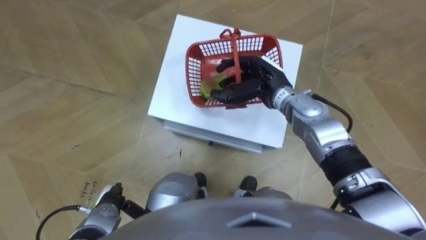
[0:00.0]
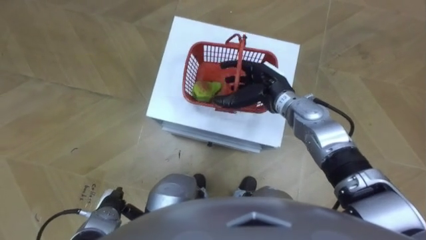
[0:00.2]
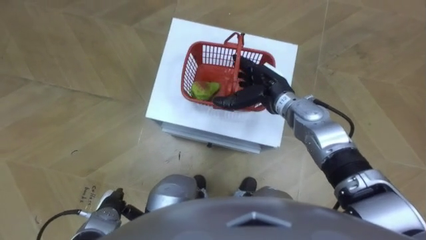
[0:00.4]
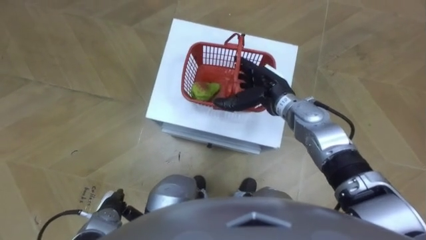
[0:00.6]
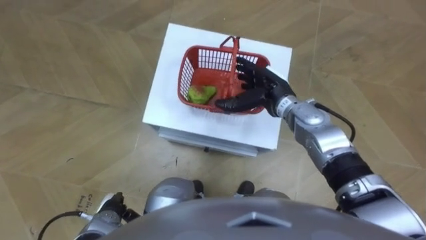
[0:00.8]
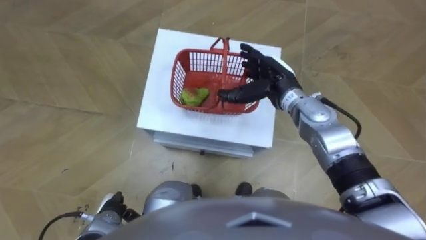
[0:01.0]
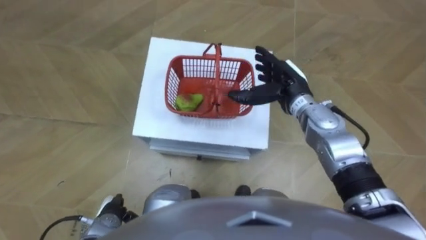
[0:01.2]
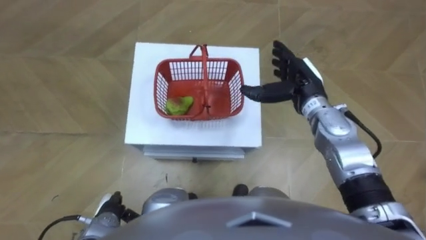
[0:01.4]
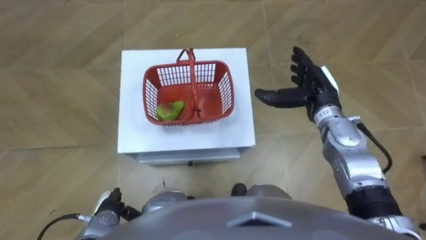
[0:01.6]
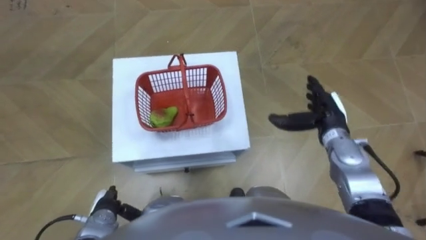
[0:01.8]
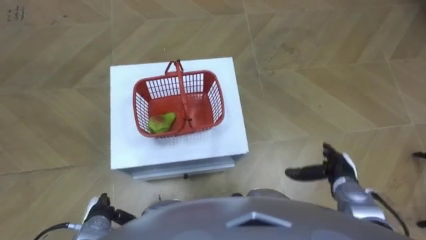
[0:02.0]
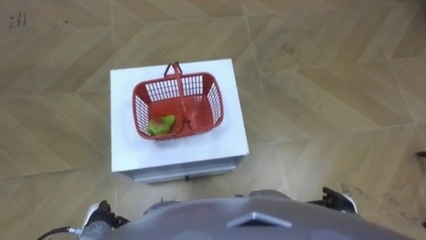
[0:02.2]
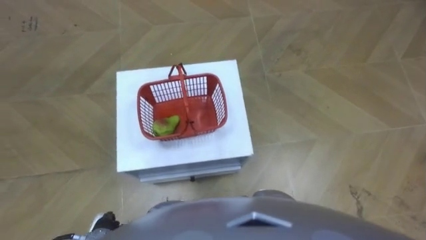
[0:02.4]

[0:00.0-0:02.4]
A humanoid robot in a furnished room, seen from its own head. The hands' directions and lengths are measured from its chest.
Task of the whole recording: Pick up the fruit basket from the floor and place it on the cabinet.
0:01.2 to 0:02.4: The right hand heads backward, downward and to the right, covering some 35 cm.

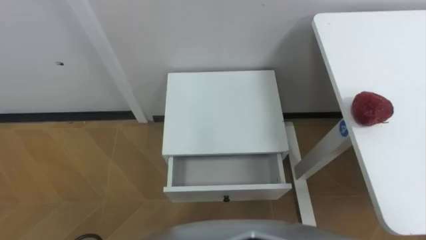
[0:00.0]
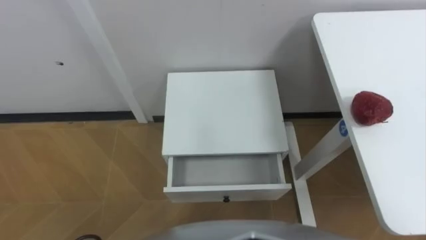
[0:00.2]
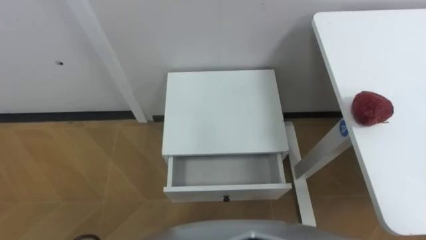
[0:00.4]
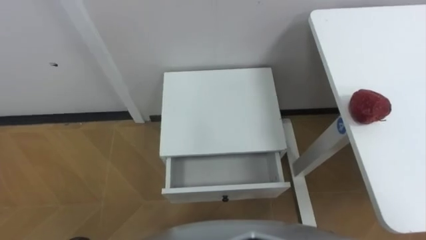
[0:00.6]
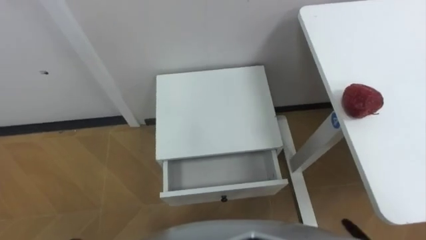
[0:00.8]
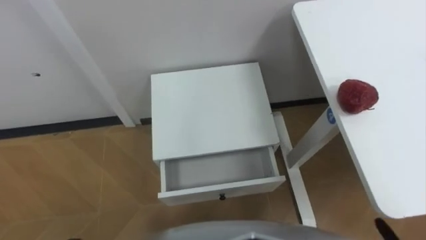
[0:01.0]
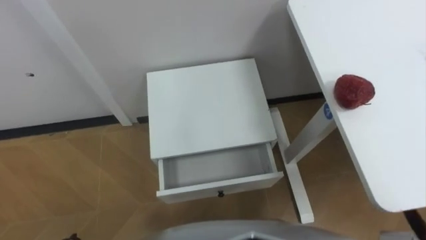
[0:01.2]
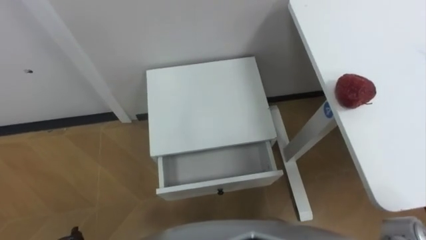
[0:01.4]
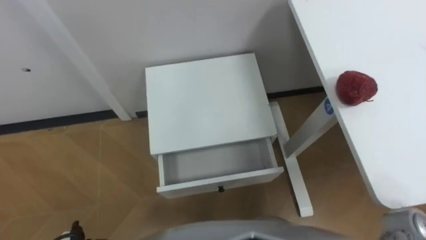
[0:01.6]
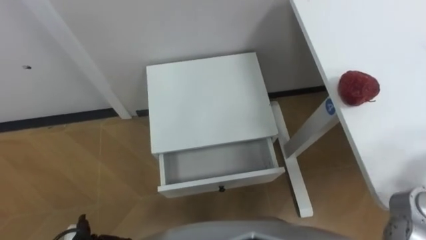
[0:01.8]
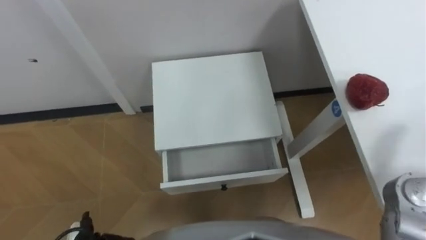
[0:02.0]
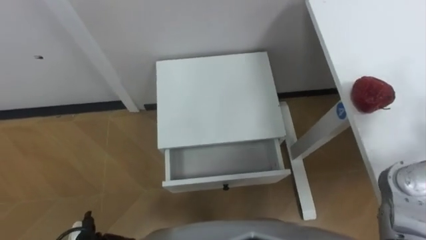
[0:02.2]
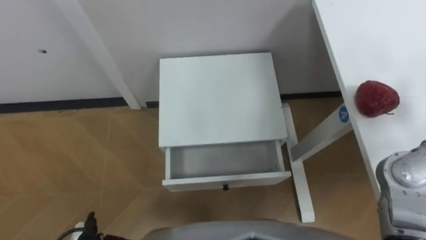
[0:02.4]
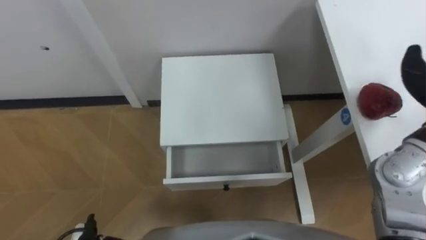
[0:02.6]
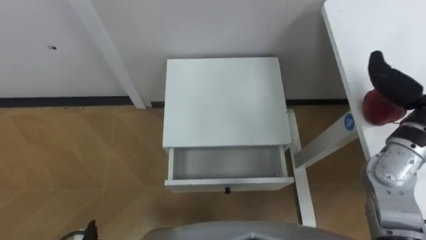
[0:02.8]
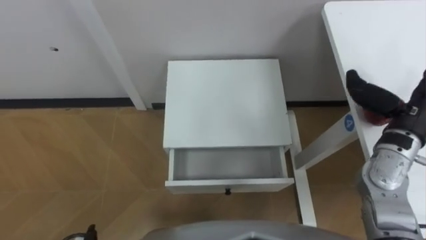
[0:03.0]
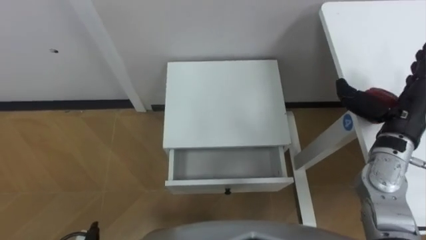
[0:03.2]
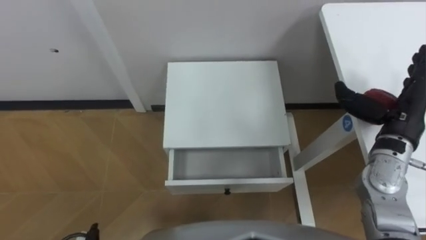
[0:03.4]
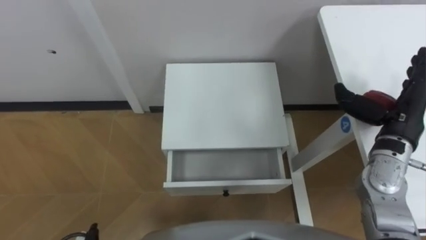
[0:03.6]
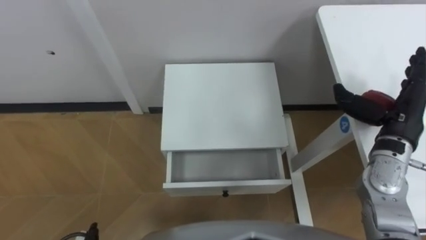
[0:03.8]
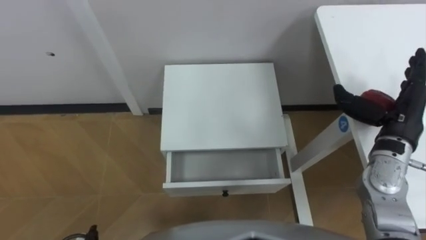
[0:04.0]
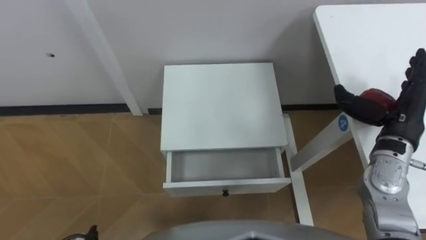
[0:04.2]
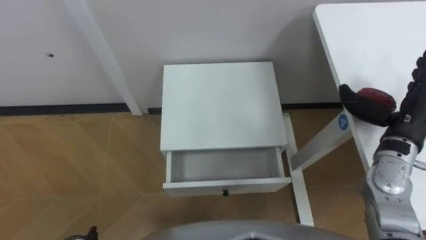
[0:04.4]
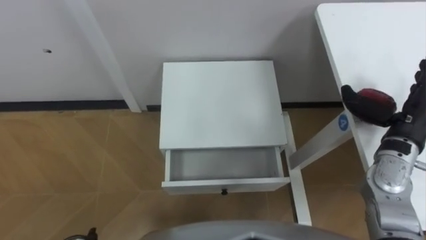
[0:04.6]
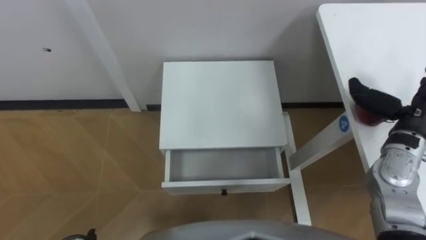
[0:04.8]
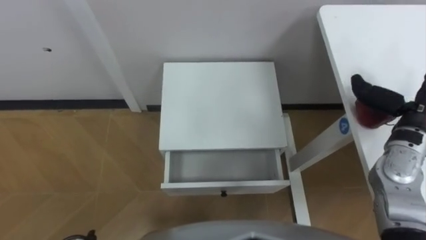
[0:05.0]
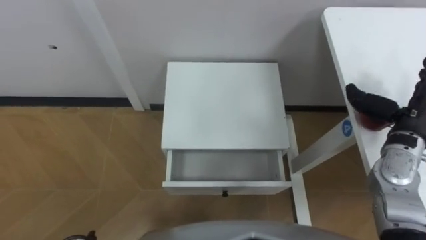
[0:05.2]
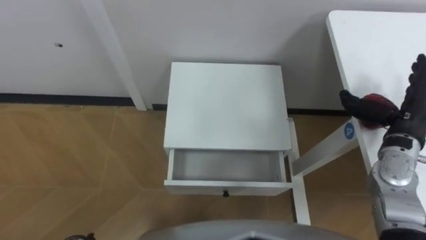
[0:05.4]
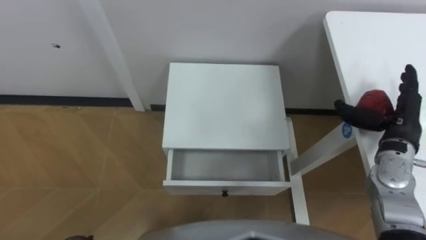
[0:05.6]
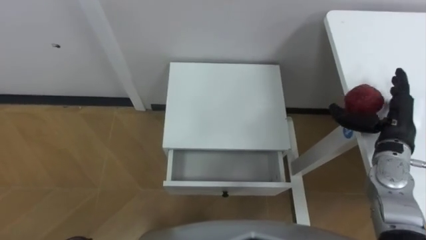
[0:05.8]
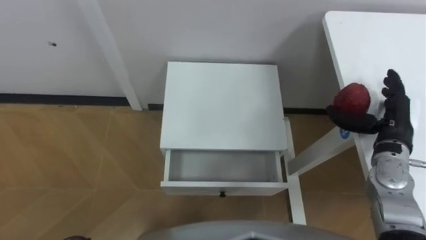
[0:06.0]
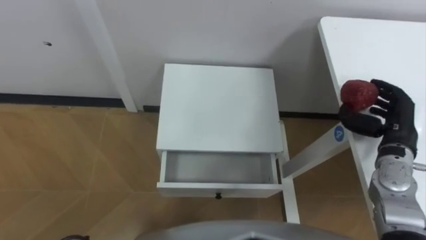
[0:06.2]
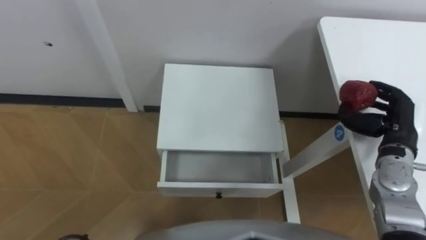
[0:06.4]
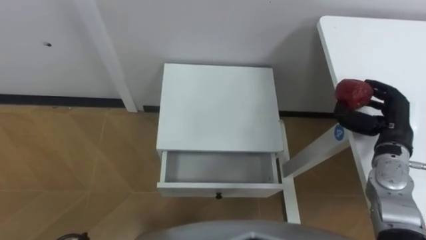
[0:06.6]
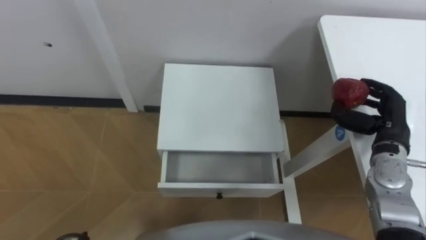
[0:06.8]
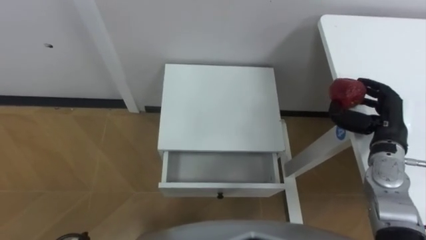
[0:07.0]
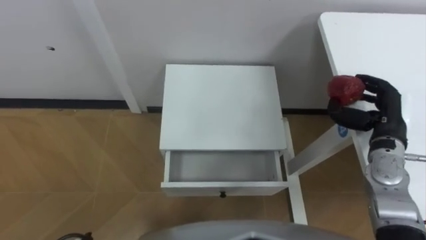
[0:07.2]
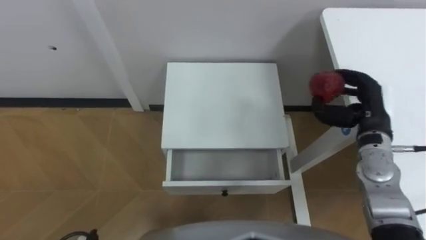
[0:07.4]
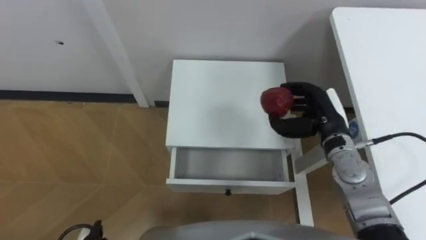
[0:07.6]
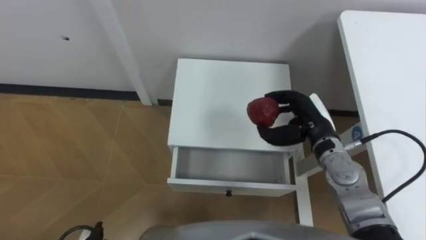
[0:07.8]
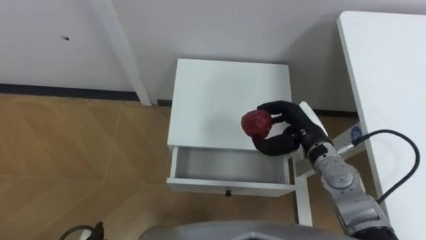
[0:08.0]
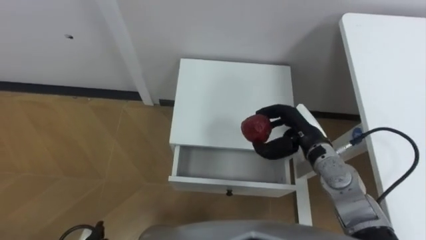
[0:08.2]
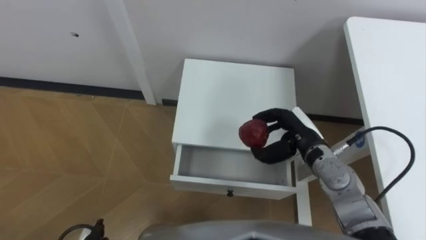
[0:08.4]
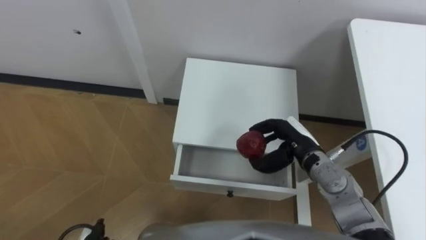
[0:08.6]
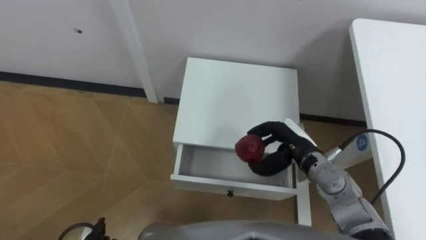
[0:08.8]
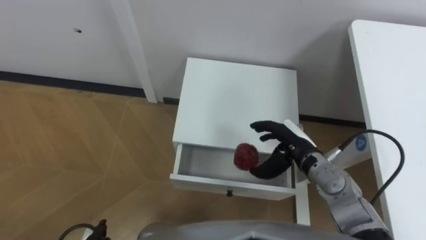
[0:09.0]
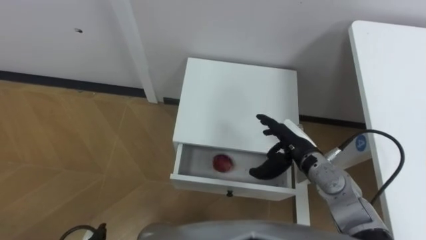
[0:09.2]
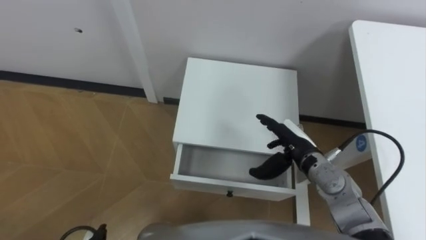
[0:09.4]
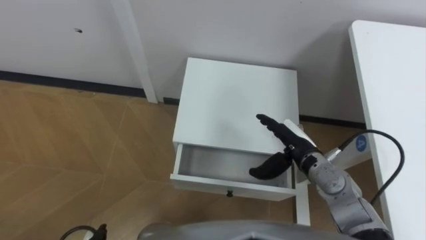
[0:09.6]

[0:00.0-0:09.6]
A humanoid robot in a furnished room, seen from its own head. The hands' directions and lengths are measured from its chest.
Task of the whole recording: Pick up the apple from the table, put it in the drawer, and close the drawer with leg.
0:04.8 to 0:06.4: The right hand goes approximately 5 cm downward, and closes its fingers.
0:06.4 to 0:08.0: The right hand goes some 15 cm to the left.
0:08.0 to 0:09.6: The right hand opens.

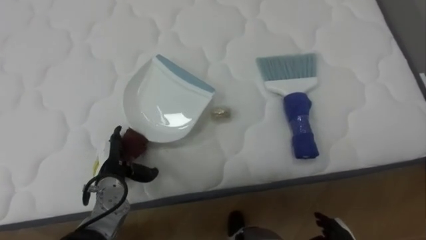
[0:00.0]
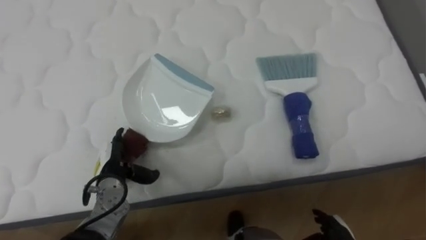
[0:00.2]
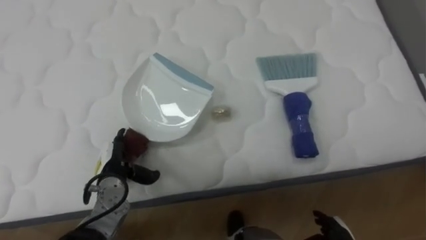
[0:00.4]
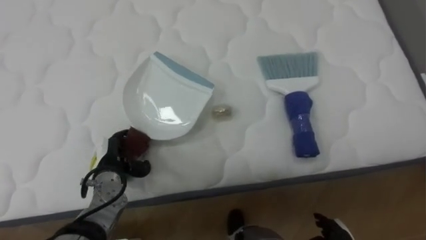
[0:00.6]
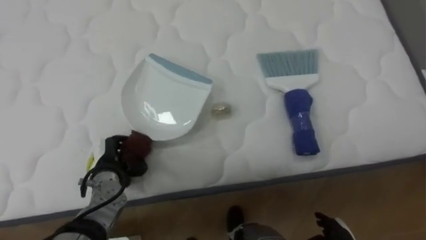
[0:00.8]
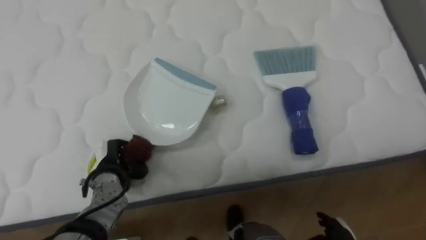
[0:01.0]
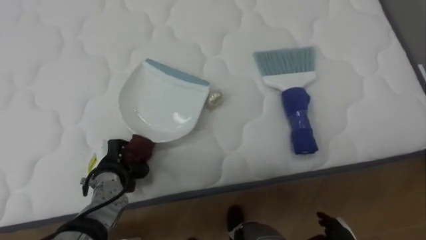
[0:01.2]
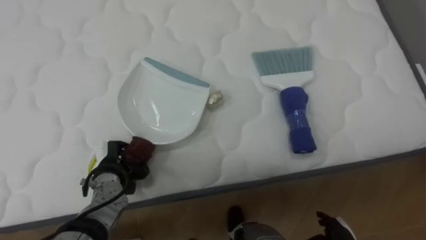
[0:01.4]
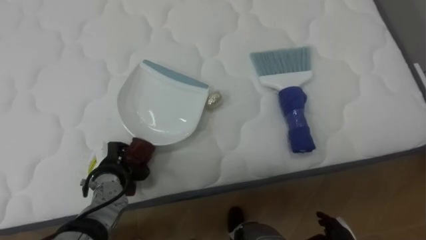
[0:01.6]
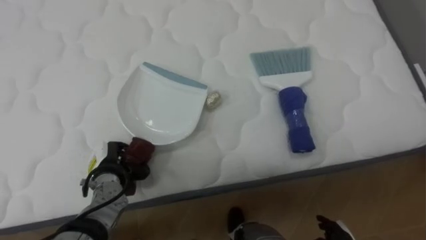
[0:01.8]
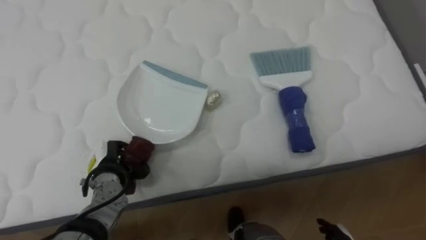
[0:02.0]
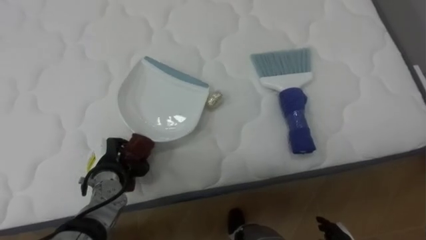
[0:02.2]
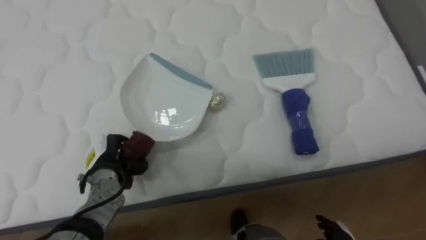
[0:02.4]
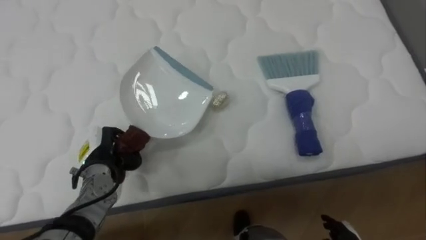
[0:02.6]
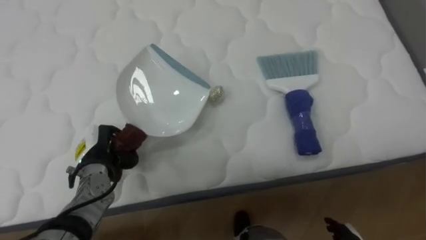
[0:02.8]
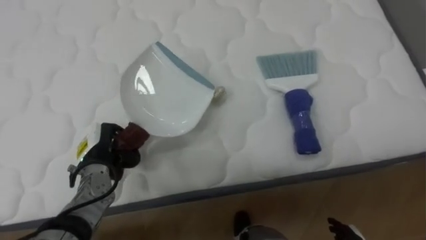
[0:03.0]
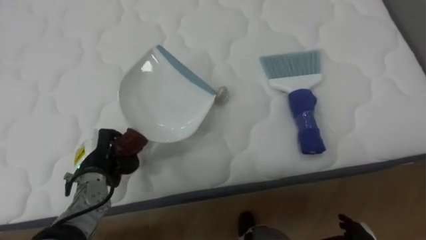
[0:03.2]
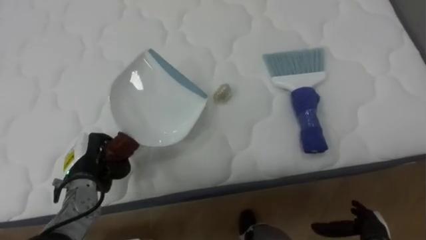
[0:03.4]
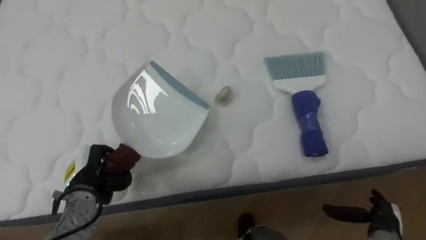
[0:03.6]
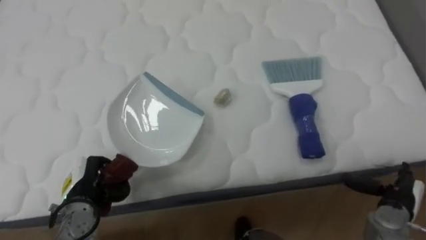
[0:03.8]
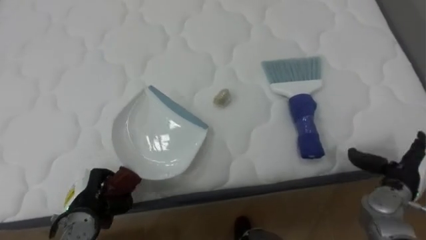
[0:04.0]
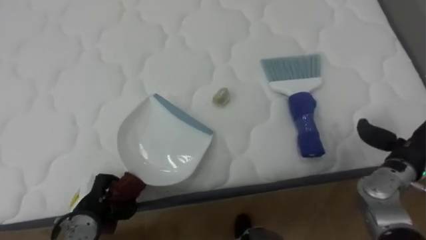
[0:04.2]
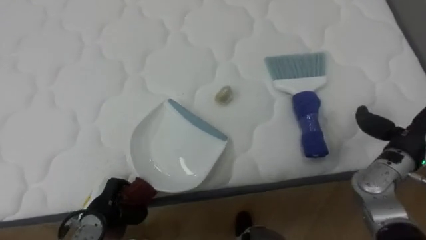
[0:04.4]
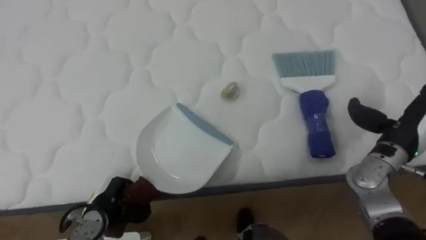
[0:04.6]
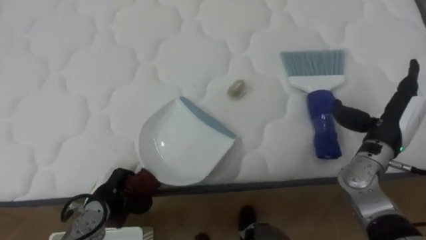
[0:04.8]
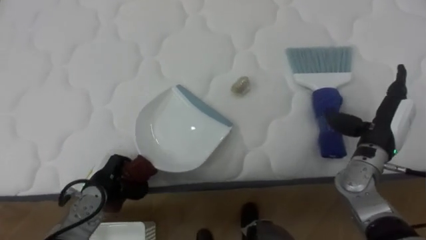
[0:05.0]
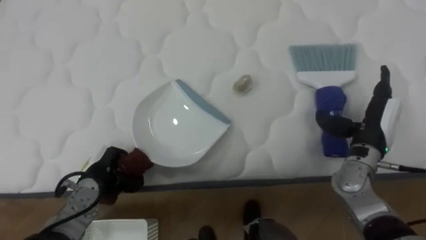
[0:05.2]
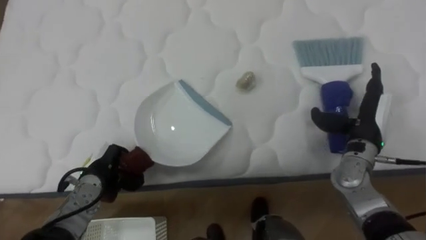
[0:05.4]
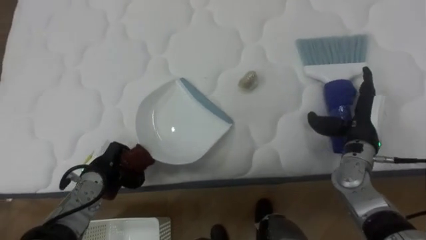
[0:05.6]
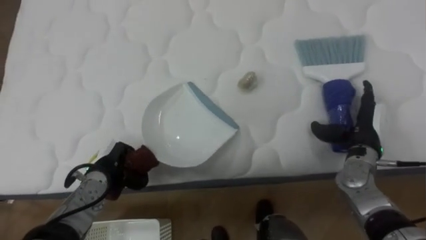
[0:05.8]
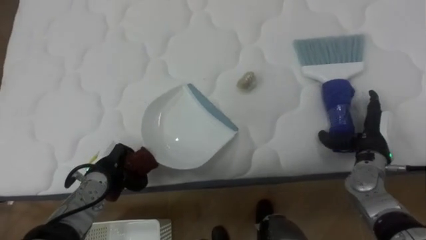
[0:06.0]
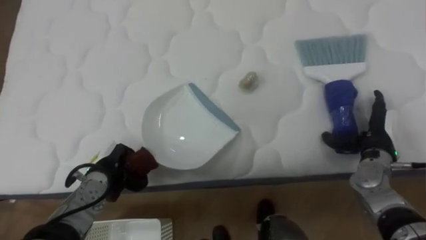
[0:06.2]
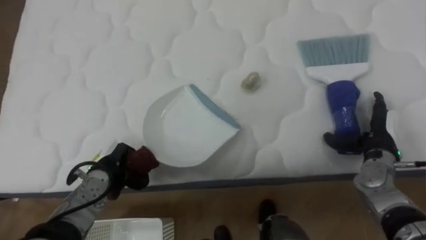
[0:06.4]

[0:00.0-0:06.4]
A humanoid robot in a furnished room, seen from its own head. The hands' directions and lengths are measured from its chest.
Task of the whole recording: Pick up the brush on your right and the dustpan on your left. Use the brush to sweep the crumpled paper on the bed into the dustpan, then turn left and empty it into the basket.
0:00.0 to 0:01.6: The left hand closes up.
0:03.2 to 0:04.8: The left hand travels backward and downward by roughly 10 cm.
0:04.8 to 0:06.4: The left hand is displaced forward by some 5 cm. The right hand is displaced downward by about 5 cm.
